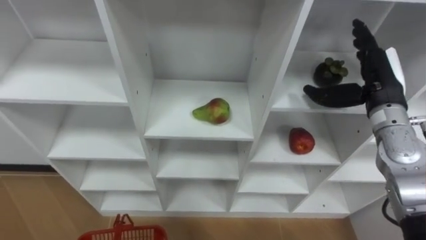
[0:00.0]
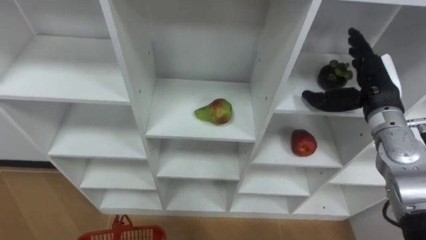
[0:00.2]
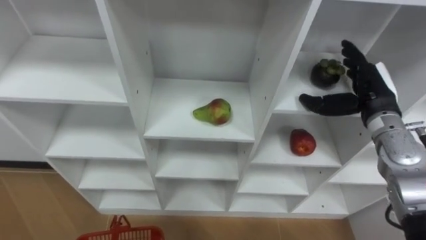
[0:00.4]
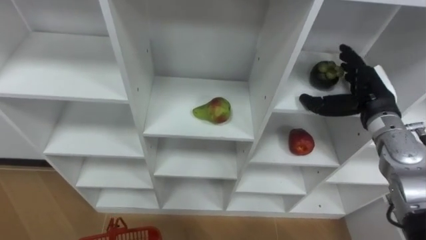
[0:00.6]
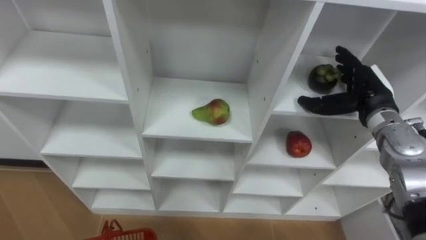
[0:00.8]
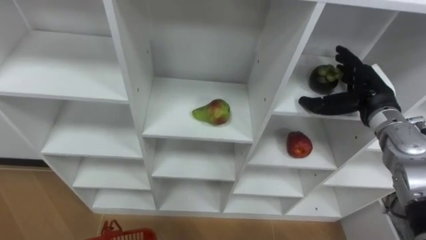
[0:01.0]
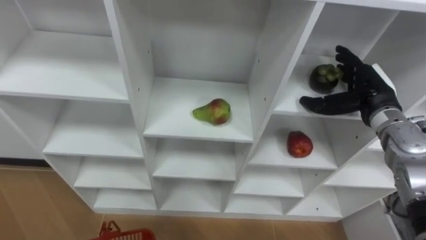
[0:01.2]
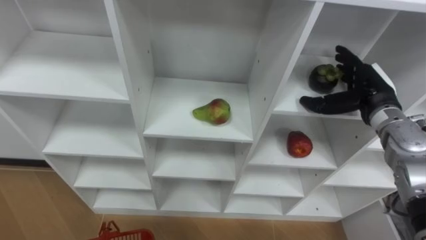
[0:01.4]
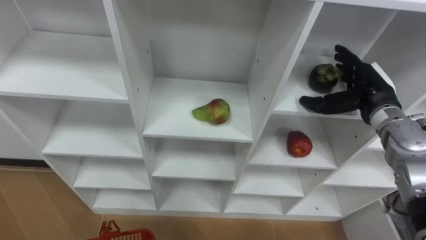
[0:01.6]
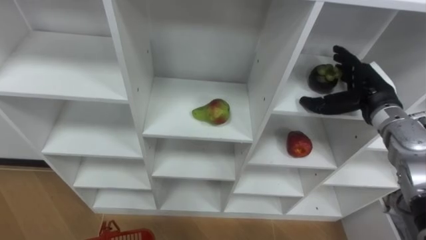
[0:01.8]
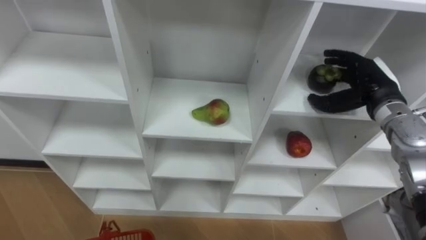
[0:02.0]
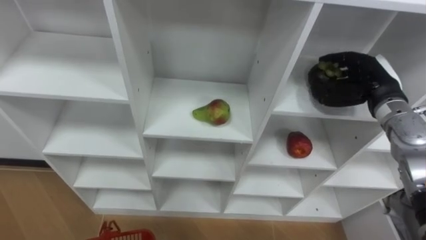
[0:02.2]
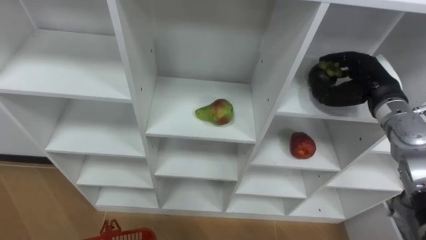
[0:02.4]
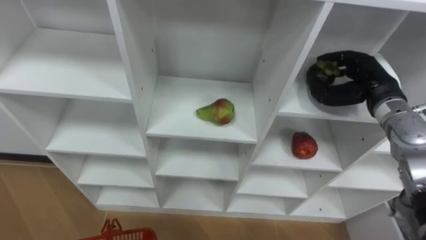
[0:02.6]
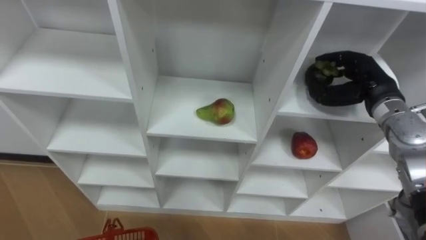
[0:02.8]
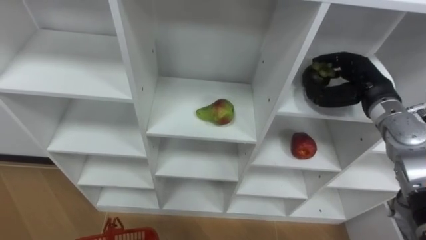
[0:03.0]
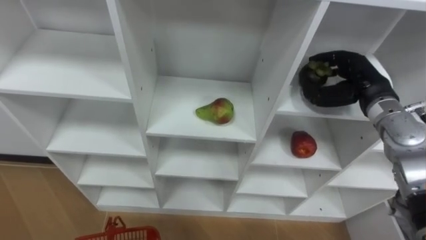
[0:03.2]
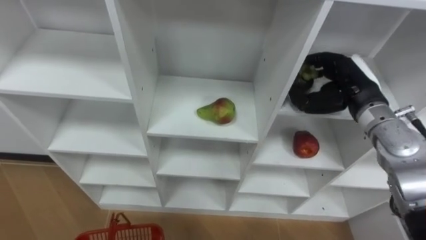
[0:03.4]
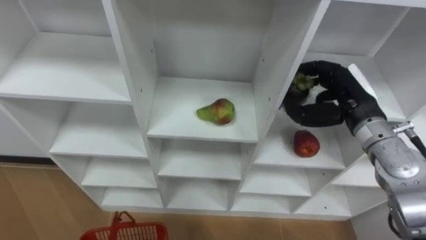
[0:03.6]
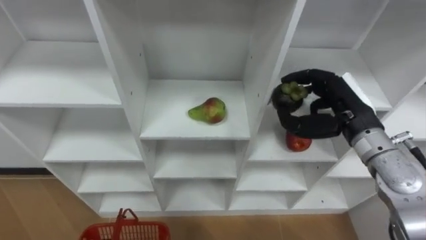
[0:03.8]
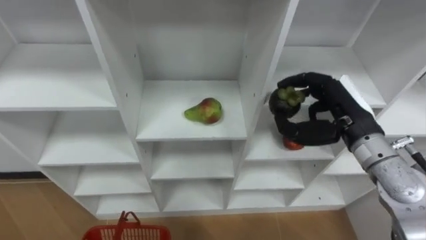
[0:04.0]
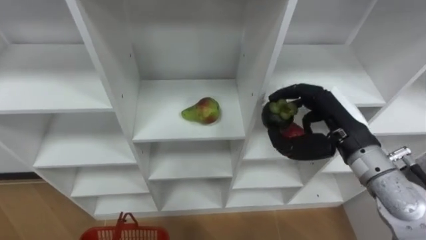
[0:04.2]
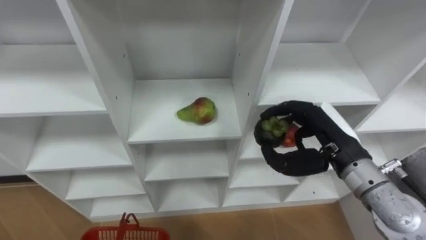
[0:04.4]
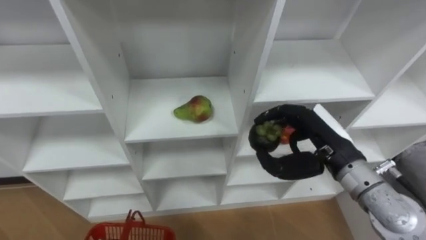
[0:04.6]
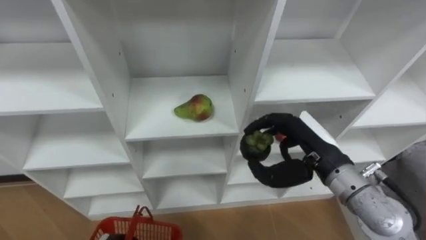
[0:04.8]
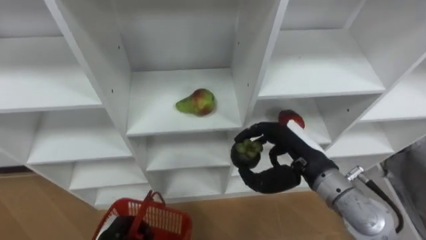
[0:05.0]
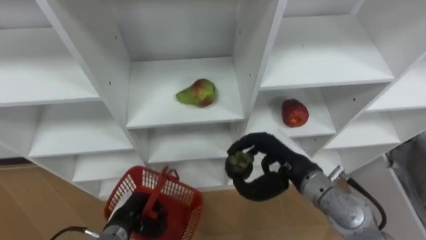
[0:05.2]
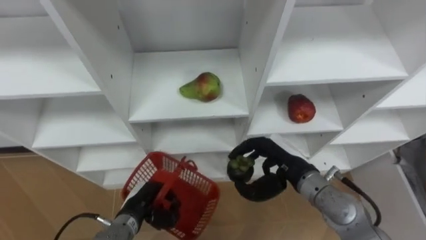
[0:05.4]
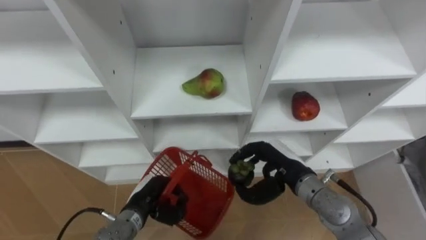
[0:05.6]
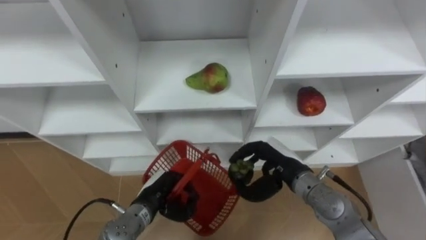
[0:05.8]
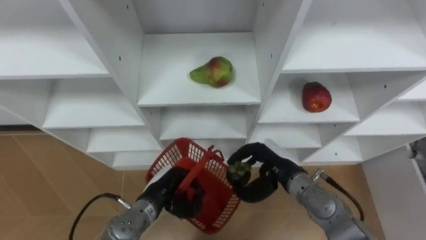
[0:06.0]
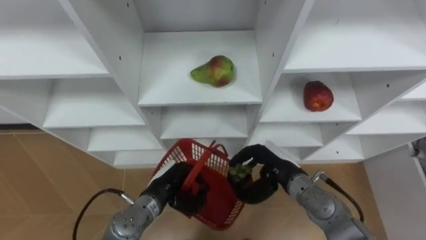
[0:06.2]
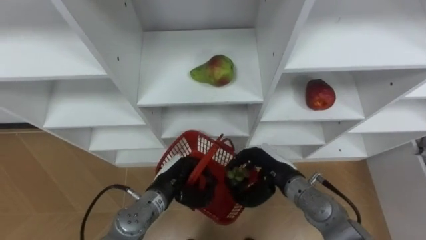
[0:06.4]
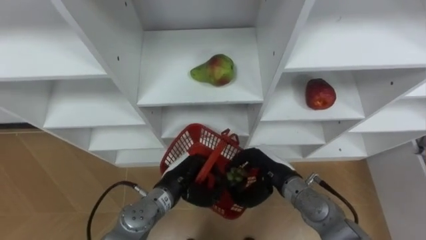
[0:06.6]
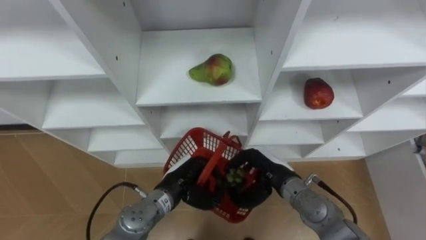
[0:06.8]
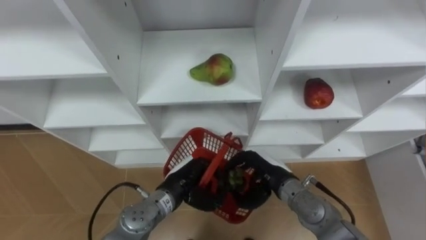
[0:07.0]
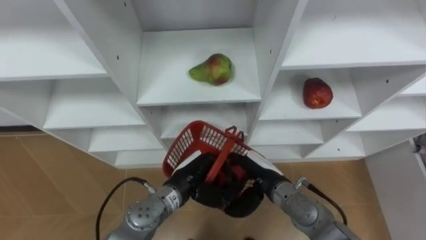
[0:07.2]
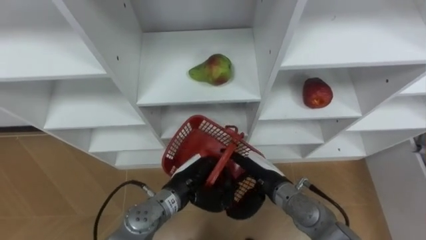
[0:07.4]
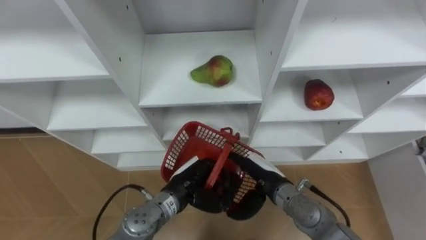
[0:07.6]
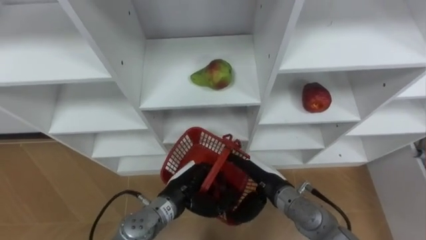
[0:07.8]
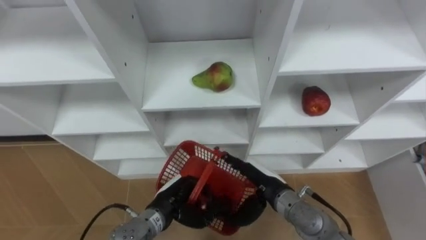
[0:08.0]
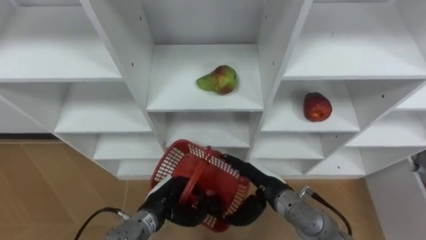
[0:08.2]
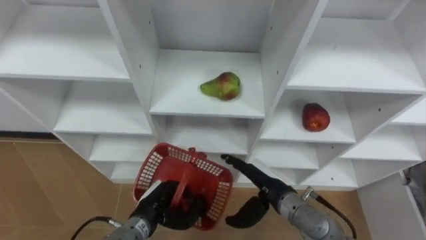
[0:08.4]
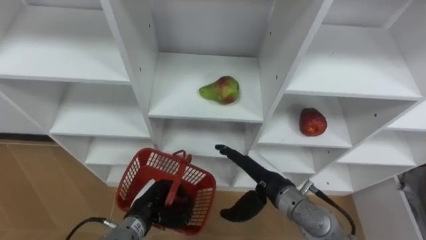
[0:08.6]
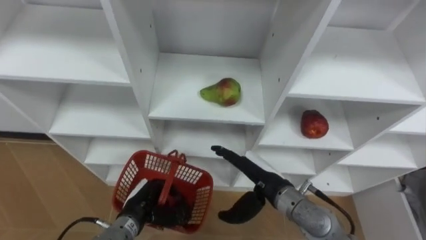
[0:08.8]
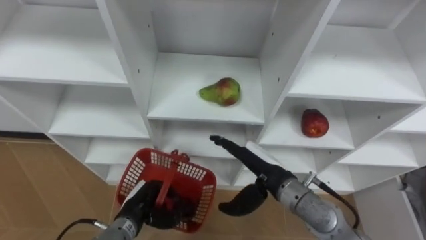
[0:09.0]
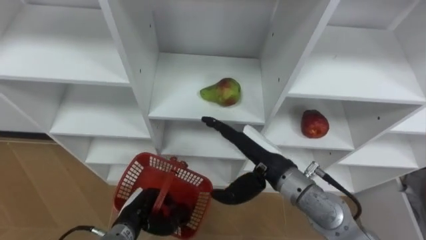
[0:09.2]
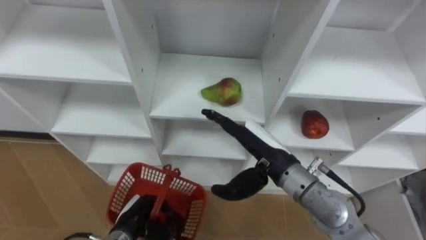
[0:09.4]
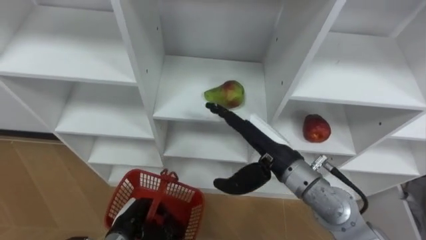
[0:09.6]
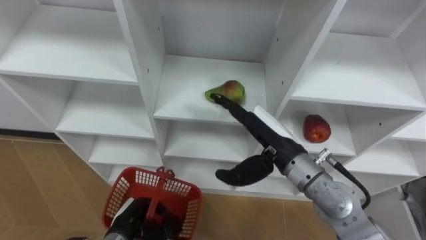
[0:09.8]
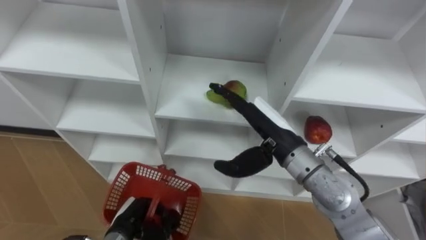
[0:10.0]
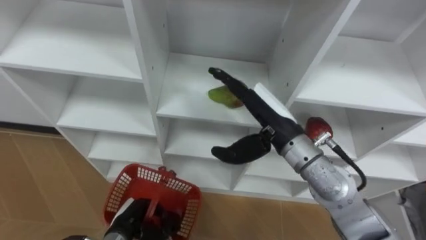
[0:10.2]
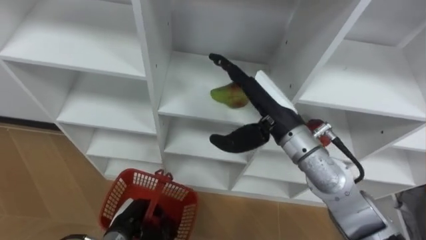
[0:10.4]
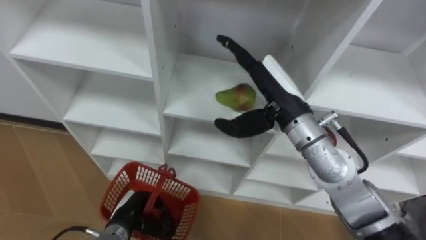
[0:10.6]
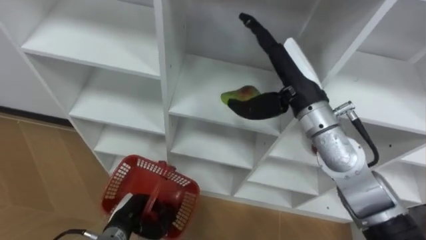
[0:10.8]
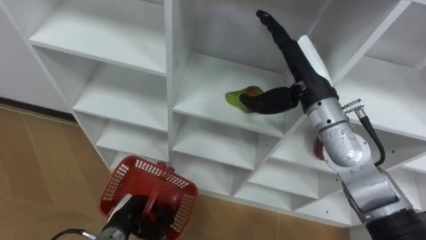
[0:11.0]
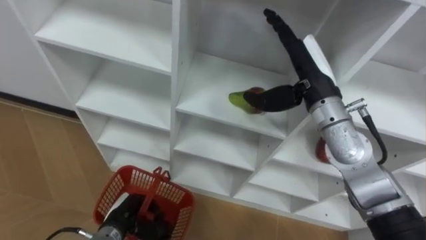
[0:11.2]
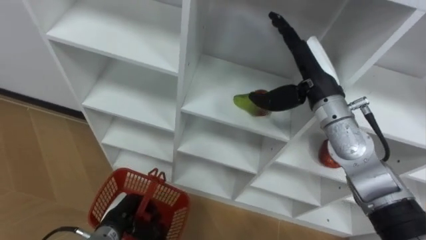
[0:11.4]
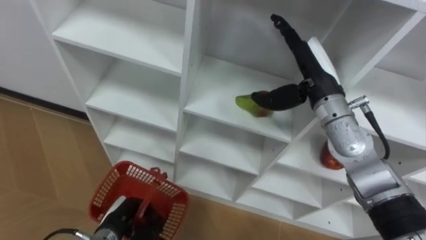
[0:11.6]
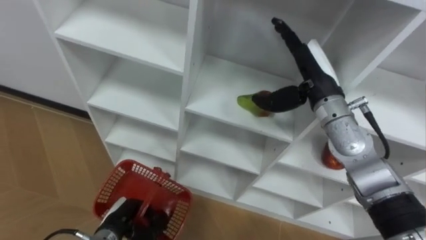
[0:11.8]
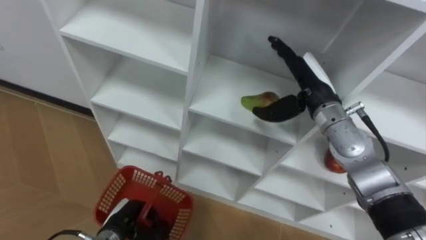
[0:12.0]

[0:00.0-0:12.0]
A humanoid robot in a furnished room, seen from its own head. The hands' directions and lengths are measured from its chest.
Task of the whole recording: Hold the basket and collect the fruits from 3 different cells of the closet into it.
0:01.6 to 0:03.0: The right hand closes.
0:03.0 to 0:04.4: The right hand goes some 15 cm backward and to the left.
0:04.4 to 0:06.0: The right hand goes approximately 15 cm downward and to the left.
0:06.0 to 0:07.6: The right hand opens; the left hand goes roughly 5 cm to the right.
0:07.6 to 0:09.0: The left hand is displaced to the left and downward by about 10 cm. Meanwhile the right hand is displaced upward by some 5 cm.
0:09.0 to 0:10.4: The right hand is displaced upward by approximately 15 cm. Meanwhile the left hand changes place by roughly 5 cm.
0:10.4 to 0:12.0: The right hand moves to the right and forward, about 10 cm.

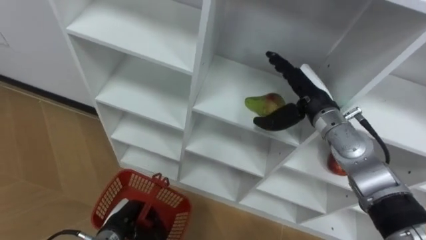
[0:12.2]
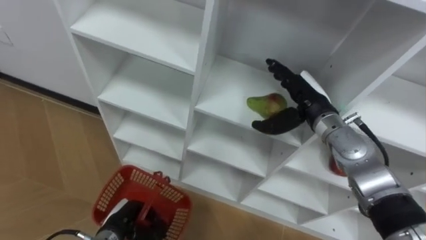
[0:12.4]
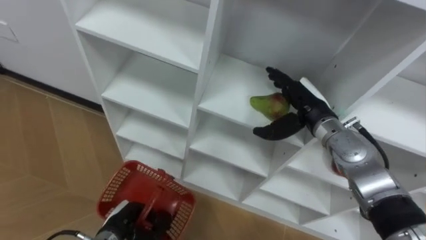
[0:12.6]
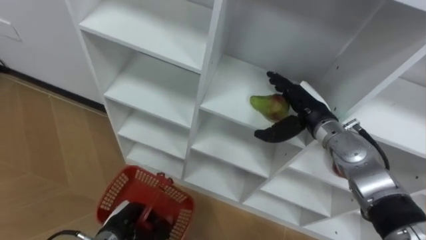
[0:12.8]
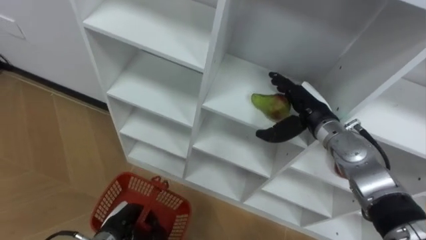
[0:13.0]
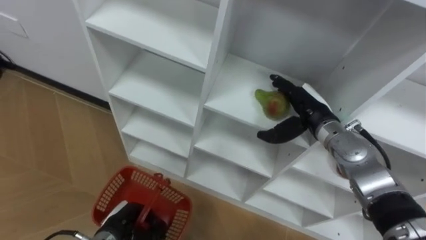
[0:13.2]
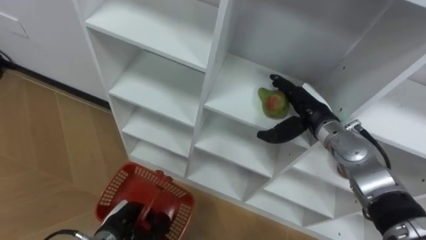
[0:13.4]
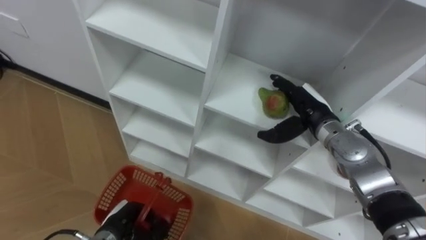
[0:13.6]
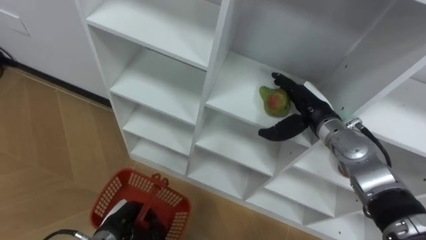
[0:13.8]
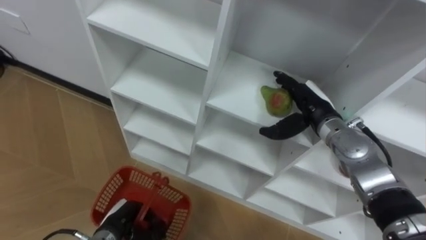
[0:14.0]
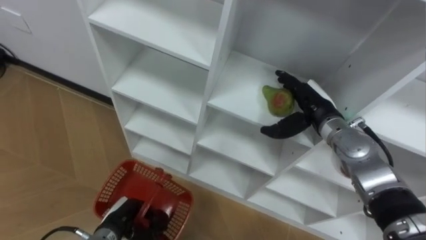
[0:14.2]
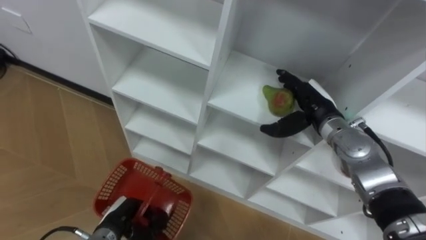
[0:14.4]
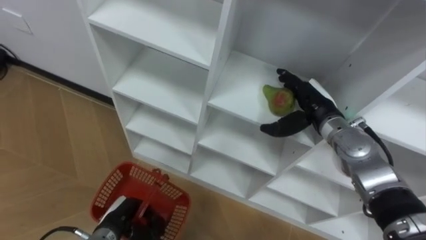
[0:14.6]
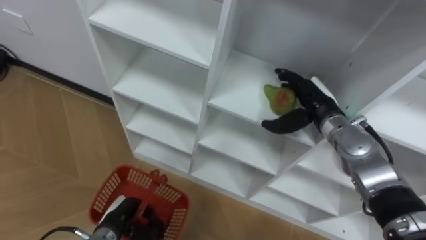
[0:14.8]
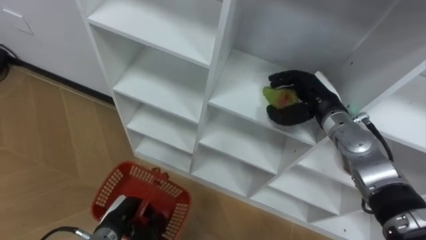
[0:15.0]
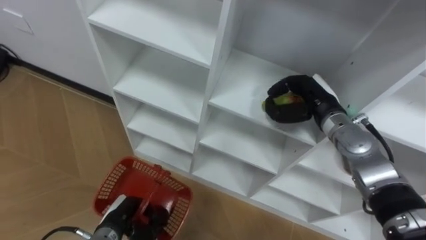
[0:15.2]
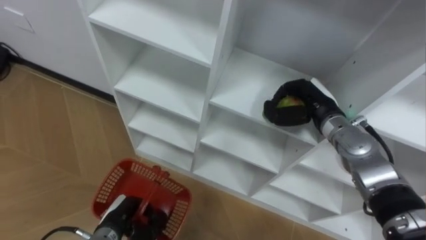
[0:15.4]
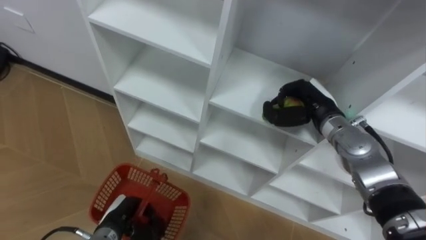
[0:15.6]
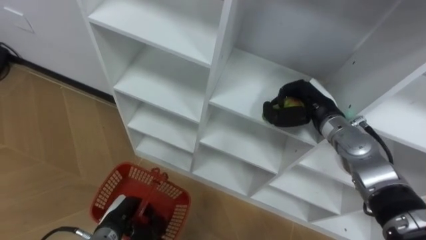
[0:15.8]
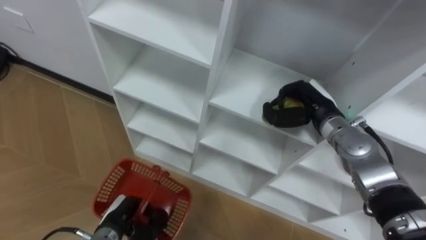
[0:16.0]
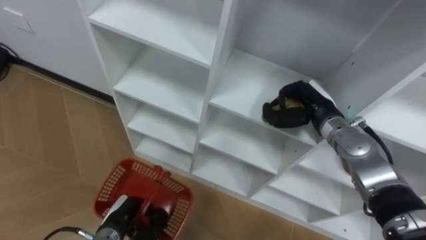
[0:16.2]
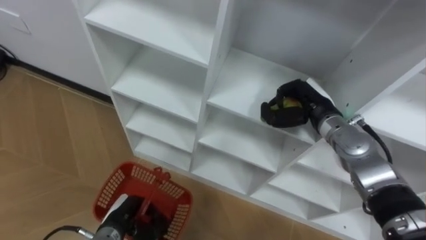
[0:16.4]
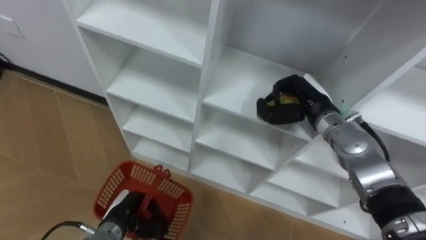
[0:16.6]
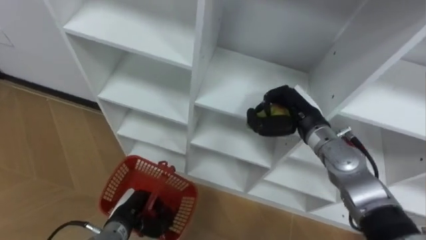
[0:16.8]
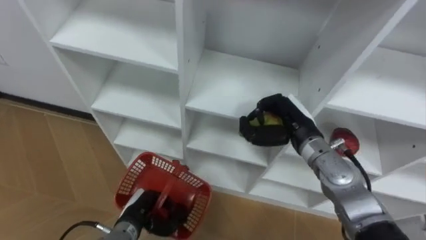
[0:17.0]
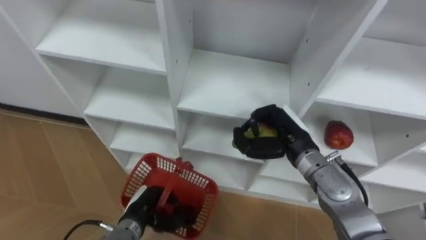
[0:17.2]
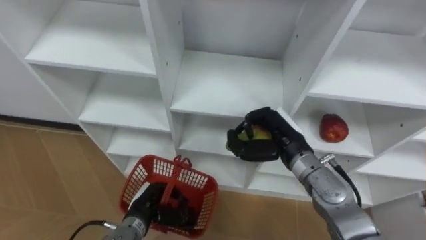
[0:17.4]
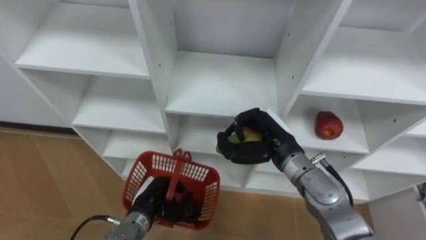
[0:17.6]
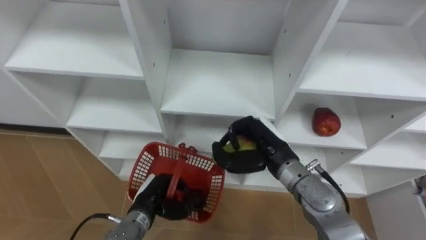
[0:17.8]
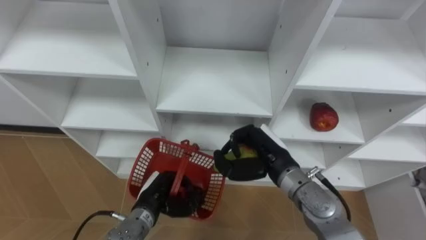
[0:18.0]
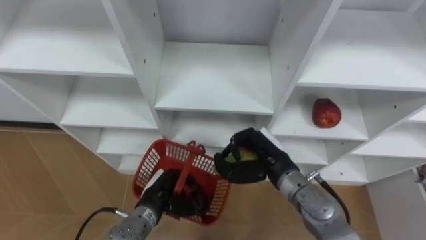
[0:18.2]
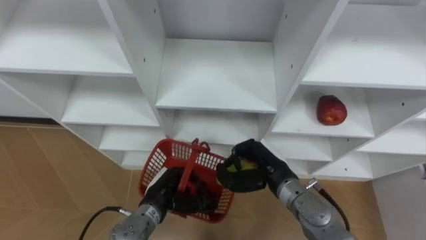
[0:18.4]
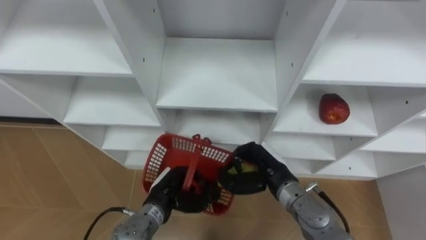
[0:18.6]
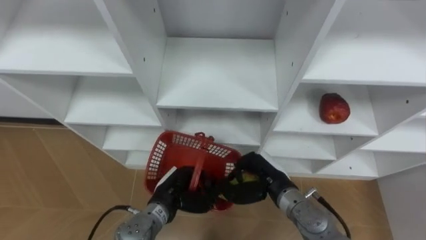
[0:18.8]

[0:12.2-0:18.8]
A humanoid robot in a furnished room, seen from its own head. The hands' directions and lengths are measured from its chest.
Task of the whole recording: Hold the basket and collect the fruits from 3 different cells of the closet into it.
0:13.8 to 0:15.4: The right hand closes.
0:15.4 to 0:17.2: The left hand shifts by about 5 cm, while the right hand heads backward and to the left, covering some 10 cm.
0:17.2 to 0:18.8: The left hand goes approximately 5 cm to the right. Meanwhile the right hand is displaced downward and backward by some 10 cm.
